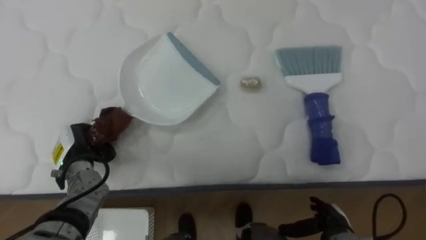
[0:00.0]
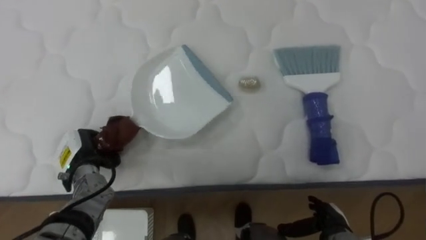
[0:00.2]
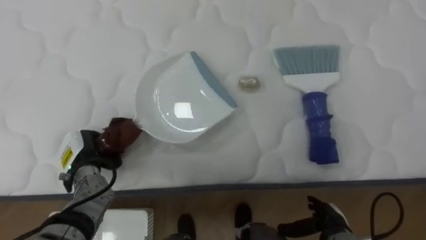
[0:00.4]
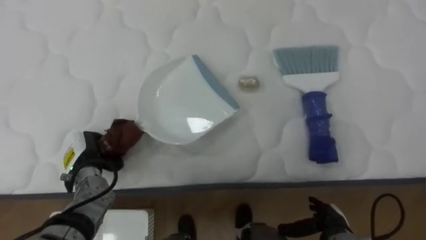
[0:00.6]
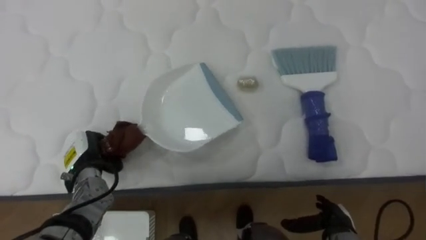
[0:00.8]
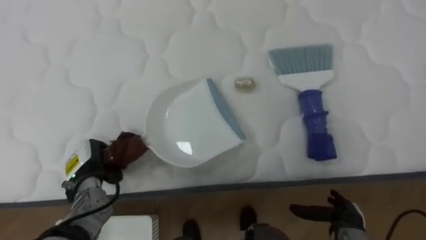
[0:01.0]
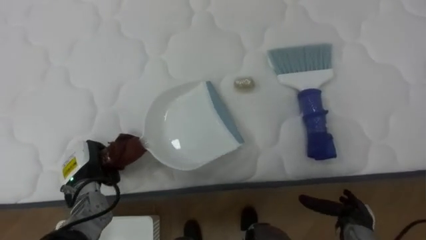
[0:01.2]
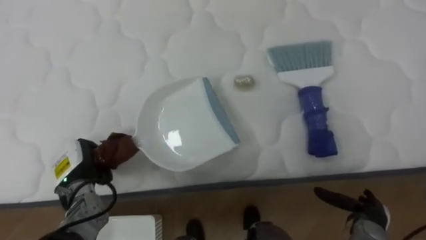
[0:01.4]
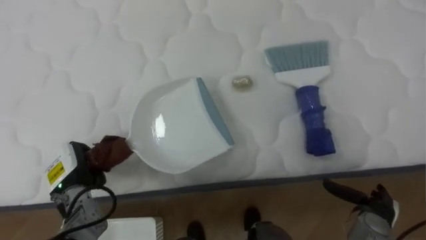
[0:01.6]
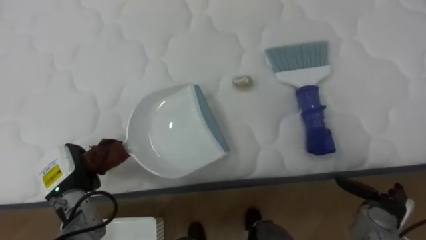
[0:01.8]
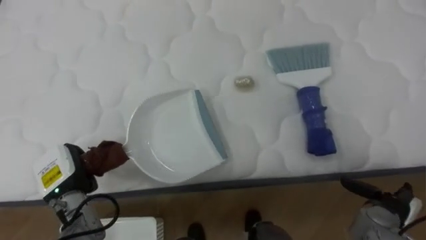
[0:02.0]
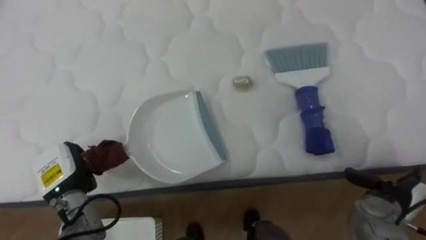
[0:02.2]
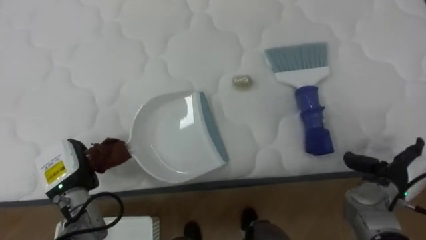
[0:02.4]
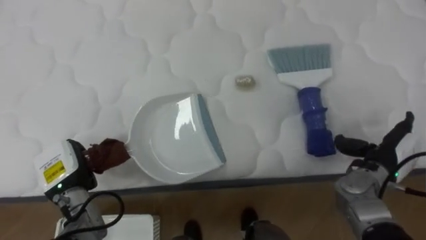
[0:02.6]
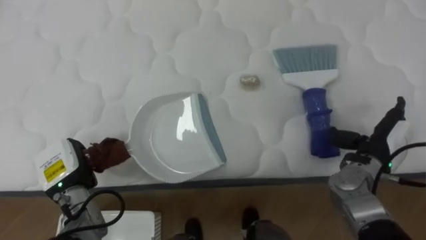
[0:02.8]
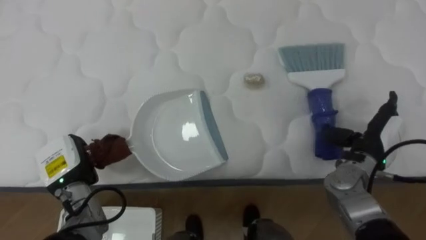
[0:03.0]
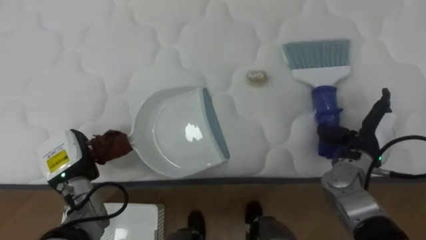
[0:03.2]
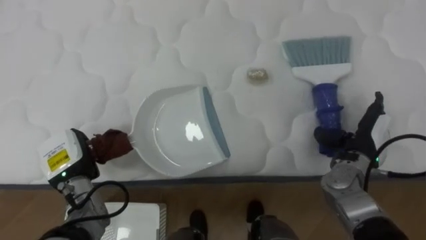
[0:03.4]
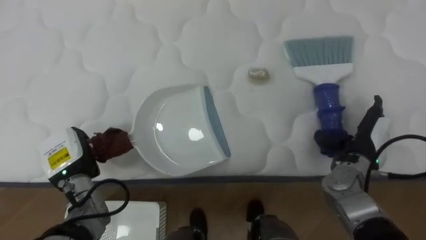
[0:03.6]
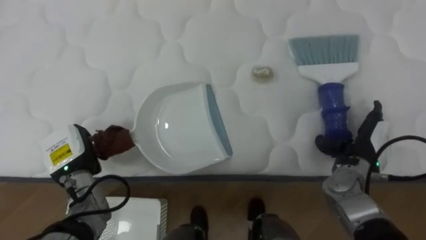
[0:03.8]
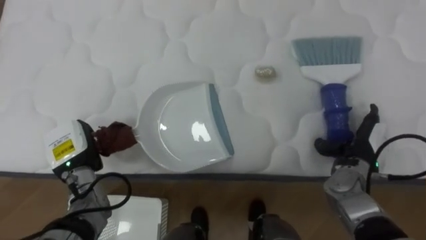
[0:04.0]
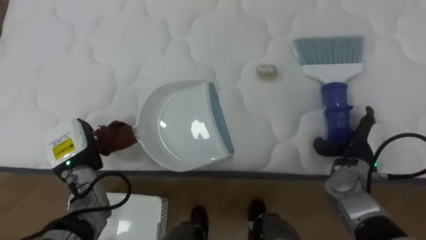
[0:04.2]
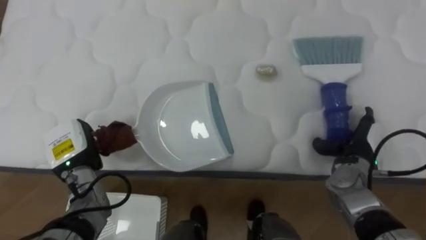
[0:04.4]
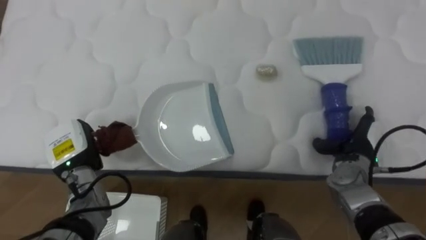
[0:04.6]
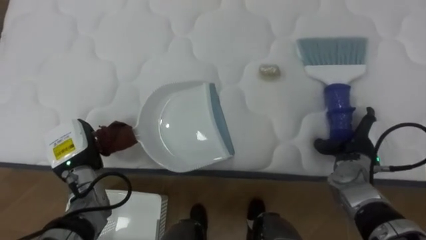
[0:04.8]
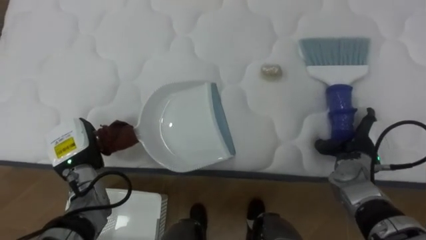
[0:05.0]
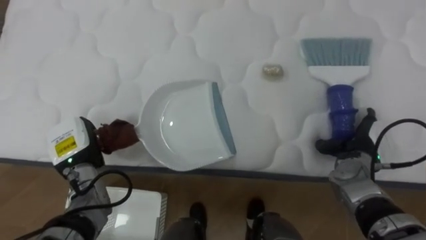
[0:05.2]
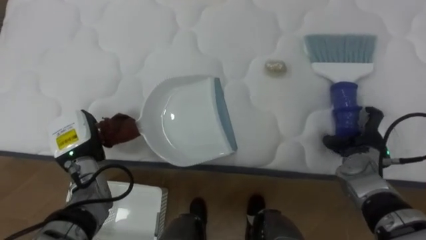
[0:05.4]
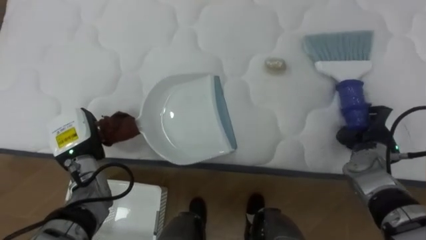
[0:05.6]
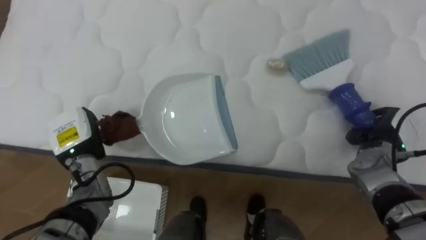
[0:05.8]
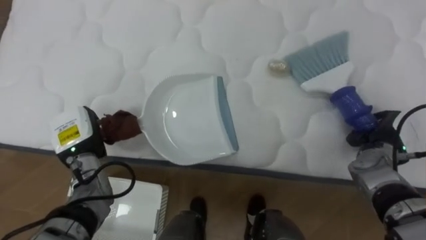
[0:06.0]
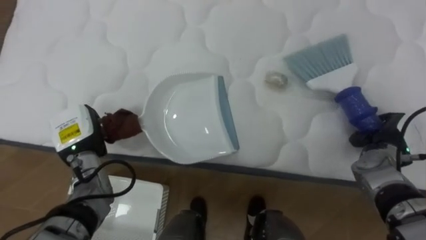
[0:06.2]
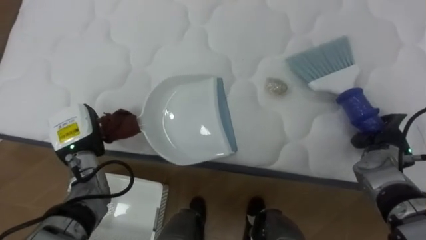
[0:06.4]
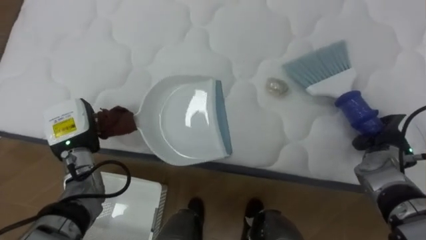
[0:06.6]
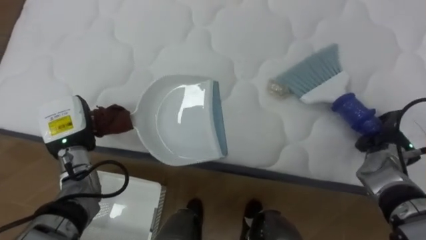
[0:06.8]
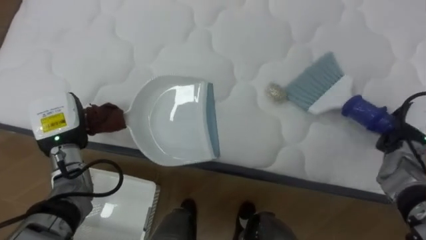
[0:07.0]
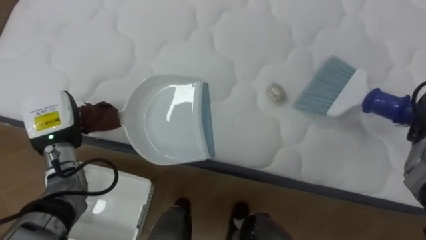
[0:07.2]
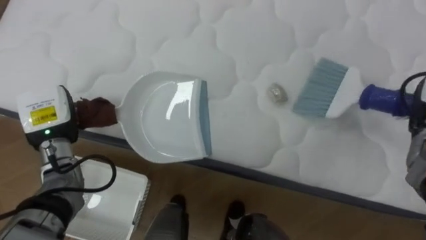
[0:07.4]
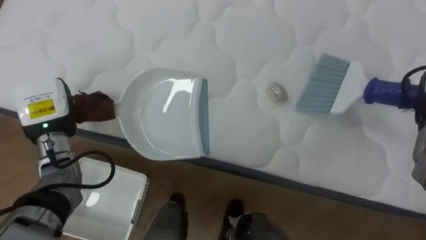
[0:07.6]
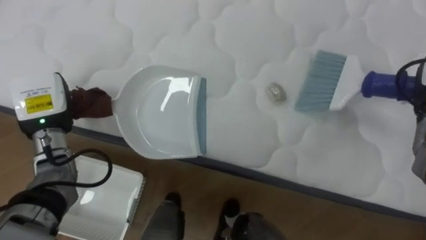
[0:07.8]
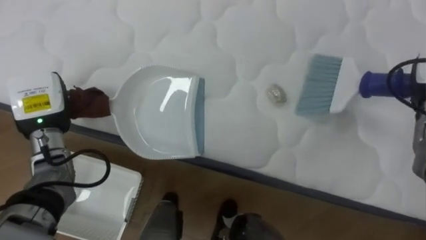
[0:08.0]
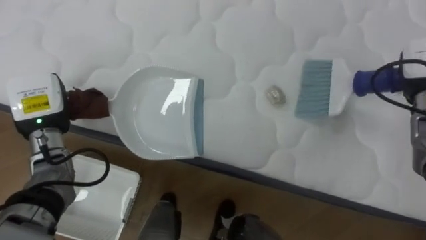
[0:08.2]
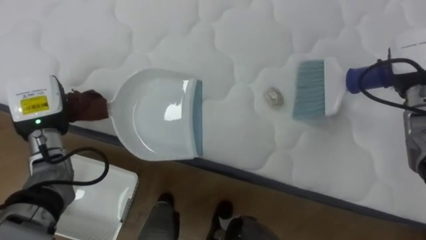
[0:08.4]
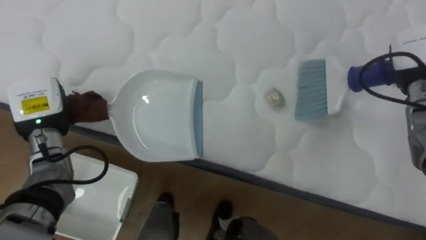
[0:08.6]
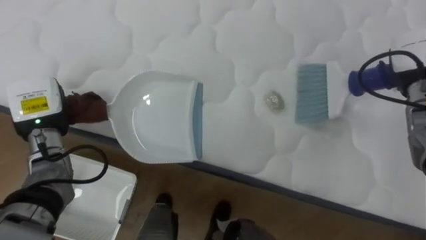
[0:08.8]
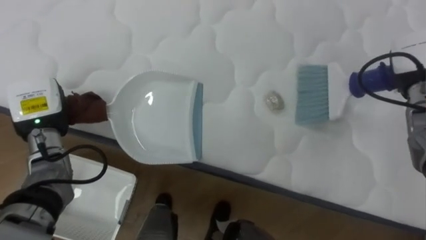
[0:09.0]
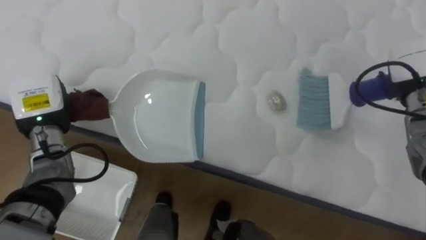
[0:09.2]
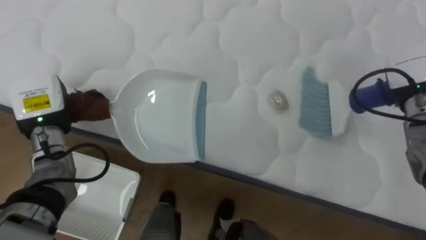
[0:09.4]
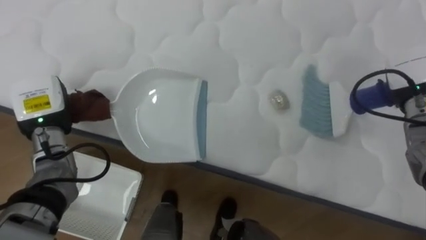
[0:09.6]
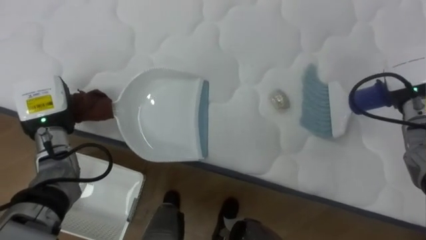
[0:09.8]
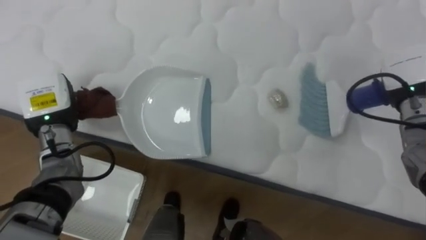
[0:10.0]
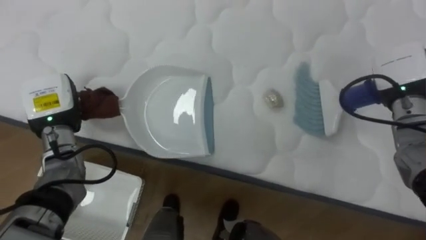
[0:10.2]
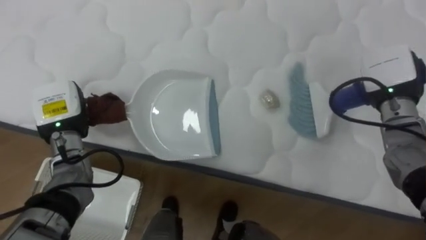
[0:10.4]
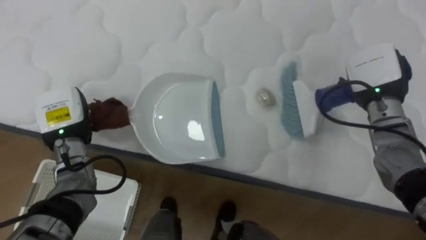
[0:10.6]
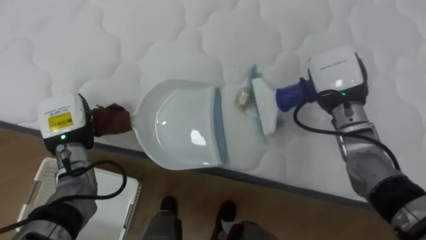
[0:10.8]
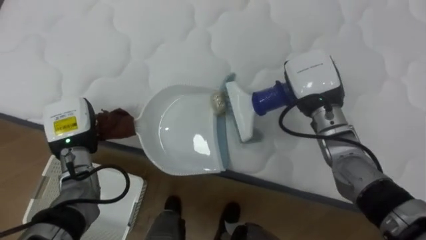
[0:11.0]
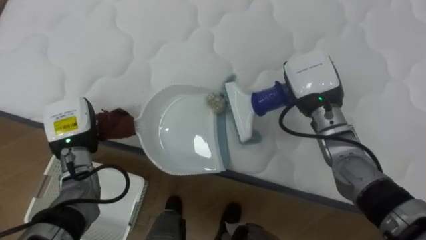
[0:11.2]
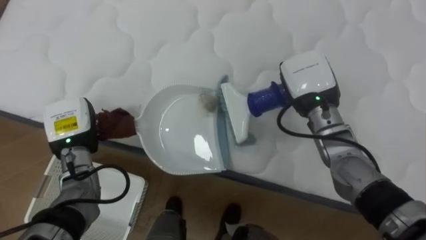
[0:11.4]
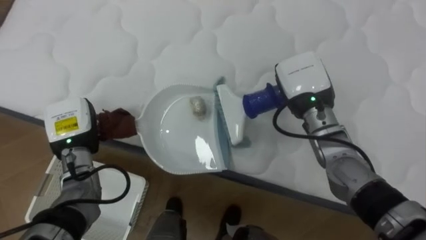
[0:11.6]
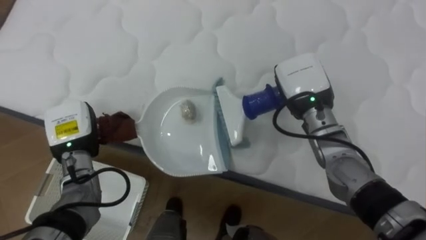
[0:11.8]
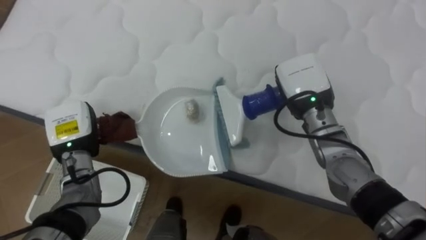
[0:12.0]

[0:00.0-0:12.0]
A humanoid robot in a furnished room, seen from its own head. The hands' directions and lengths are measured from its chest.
Task of the whole recording: Pick up the brush on your right and the dustpan on your left. Use the brush to sweep the crumpled paper on the bed into the dustpan, then turn left and empty it into the basket.
0.0 to 1.6 s: The right hand heads to the right, covering some 10 cm.
1.6 to 3.0 s: The right hand is displaced upward and forward by some 15 cm.
4.4 to 6.0 s: The right hand changes place by about 5 cm, and closes up.
6.0 to 7.6 s: The left hand travels upward by roughly 5 cm.
9.0 to 10.4 s: The right hand shifts by about 5 cm.
10.4 to 12.0 s: The right hand moves to the left, about 15 cm.

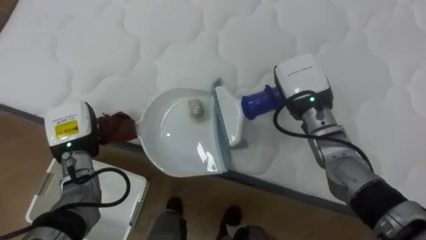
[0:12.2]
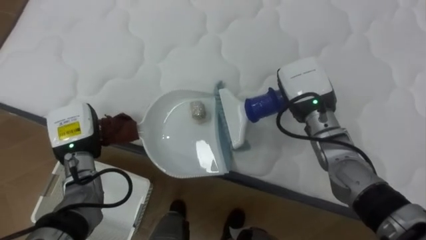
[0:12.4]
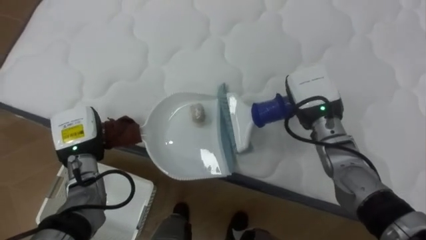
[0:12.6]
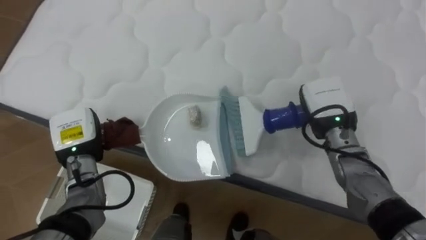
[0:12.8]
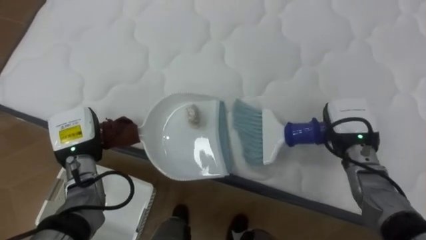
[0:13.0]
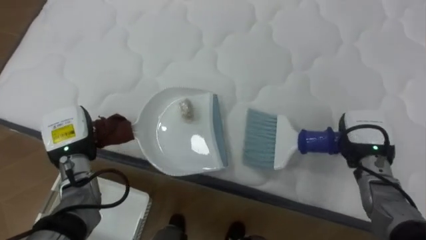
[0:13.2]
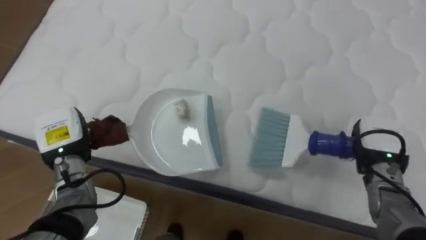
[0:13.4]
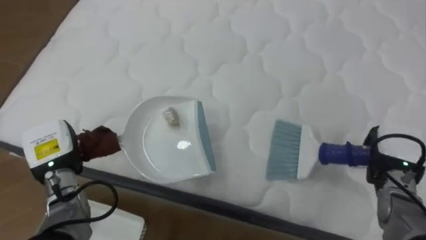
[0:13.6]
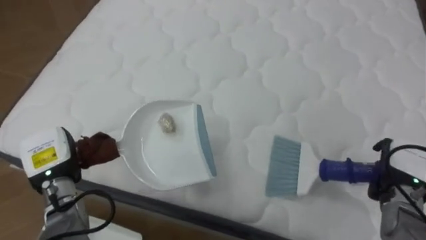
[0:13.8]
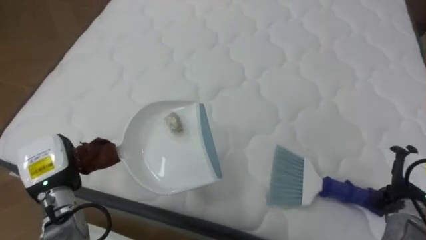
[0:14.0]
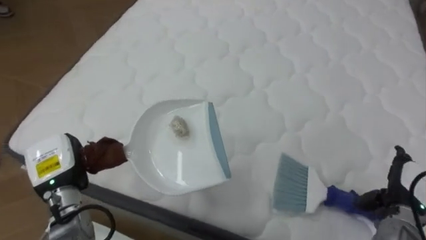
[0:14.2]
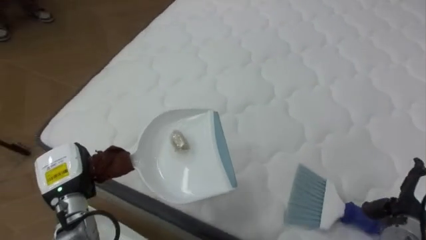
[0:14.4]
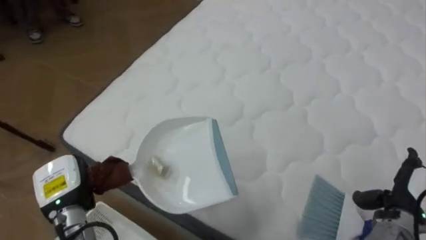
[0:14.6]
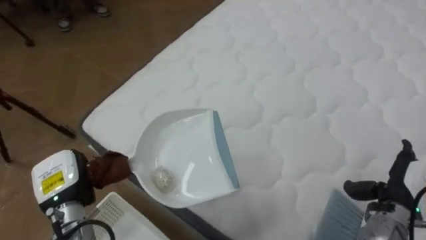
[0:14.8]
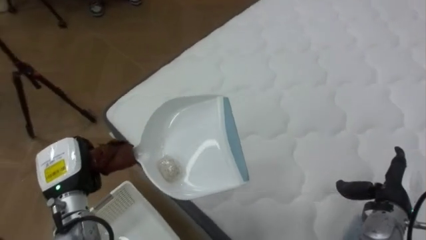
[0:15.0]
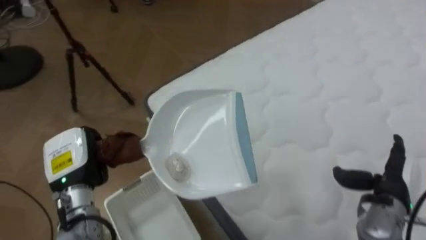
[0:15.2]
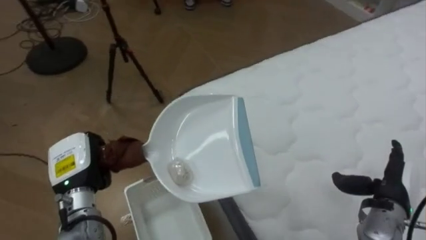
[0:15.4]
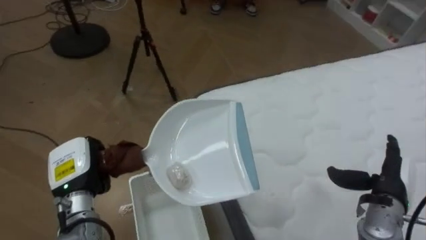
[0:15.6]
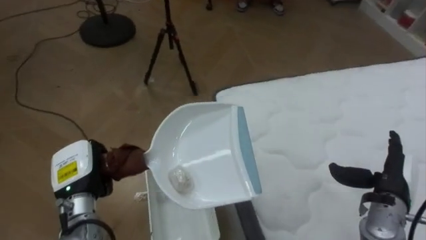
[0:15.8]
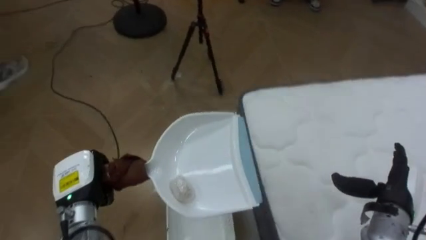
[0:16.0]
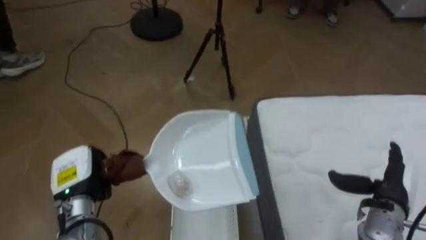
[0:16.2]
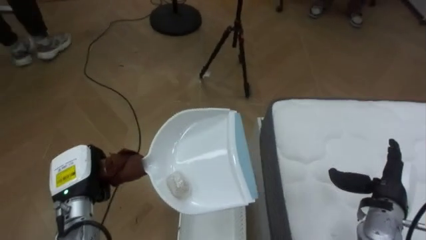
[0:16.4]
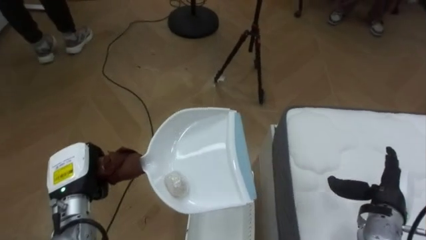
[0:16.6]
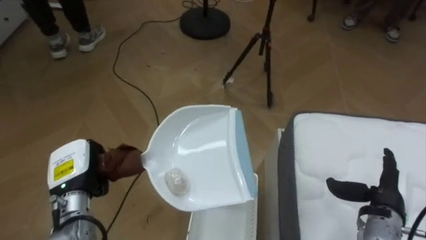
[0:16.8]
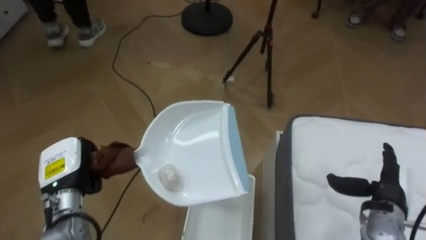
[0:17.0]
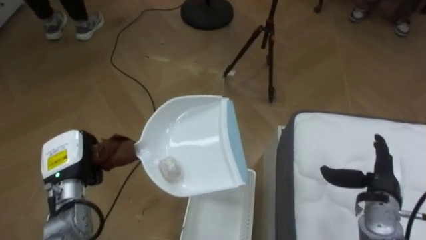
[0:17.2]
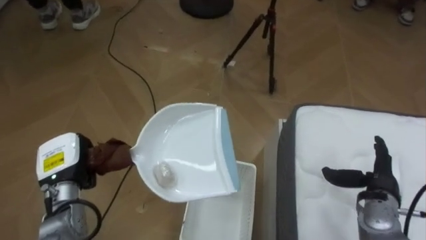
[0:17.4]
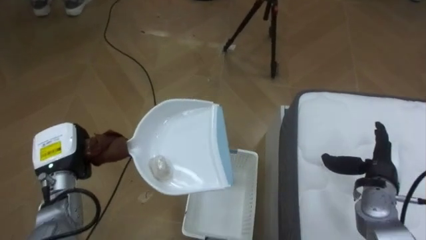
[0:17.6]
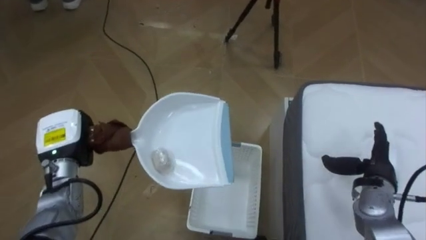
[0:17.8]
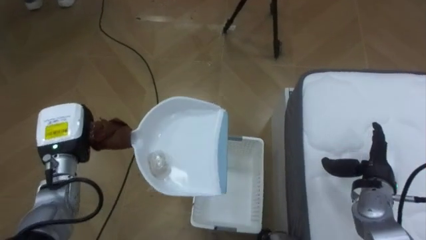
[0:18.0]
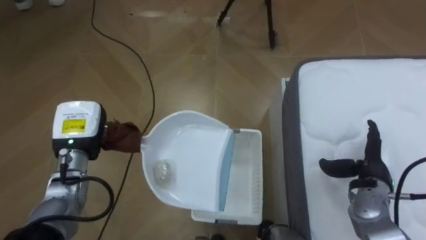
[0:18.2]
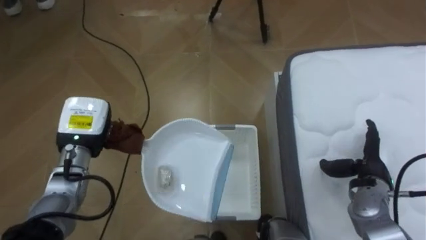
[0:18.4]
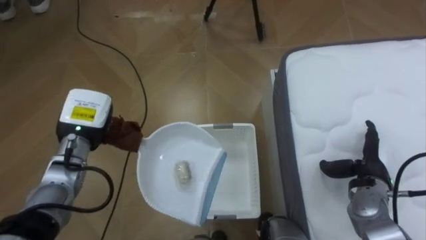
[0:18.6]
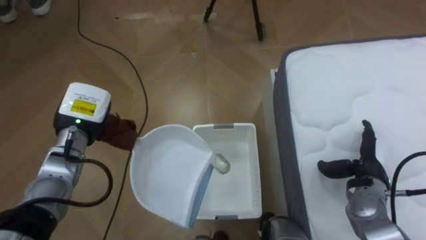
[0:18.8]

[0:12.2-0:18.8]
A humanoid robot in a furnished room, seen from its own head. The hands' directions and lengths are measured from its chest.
Task of the whole recording: Pick up the brush on your right and the dustpan on your left. Use the brush to sweep the crumpled paper on the bed into the dustpan, then turn left and empty it into the basket.
12.2 to 13.8 s: The right hand is displaced to the right, downward and backward by roughly 25 cm, and opens up. The left hand changes place by roughly 5 cm.
13.8 to 15.4 s: The robot faces about 50 degrees further to its left. The left hand moves some 5 cm, while the right hand ends up roughly 5 cm from where it was.
15.4 to 17.2 s: The robot faces some 40 degrees further to its left.
17.2 to 18.8 s: The left hand goes approximately 10 cm forward.
